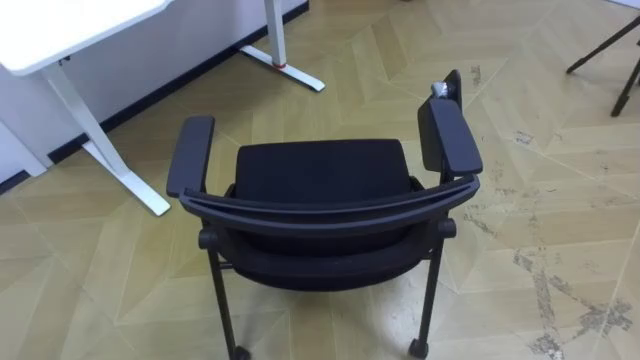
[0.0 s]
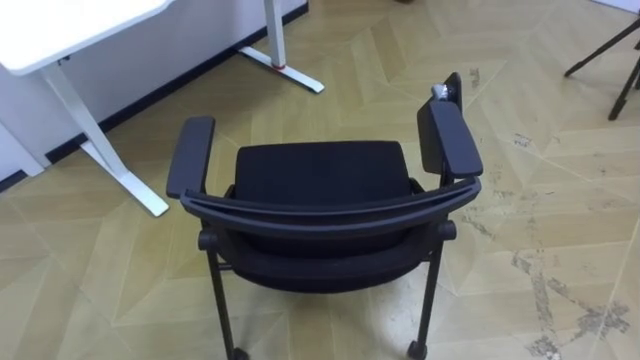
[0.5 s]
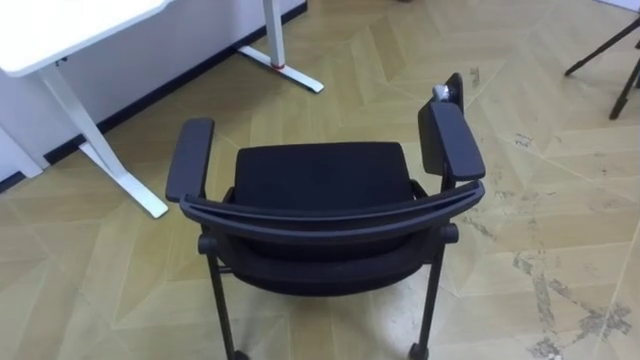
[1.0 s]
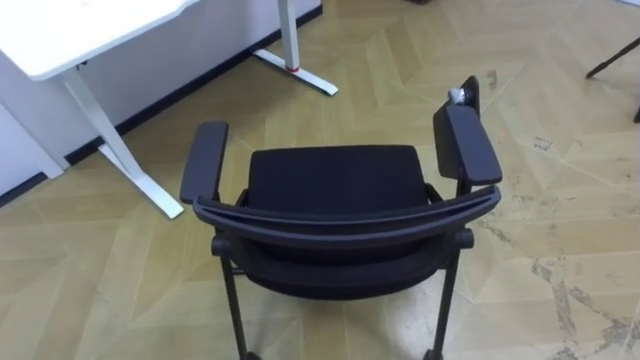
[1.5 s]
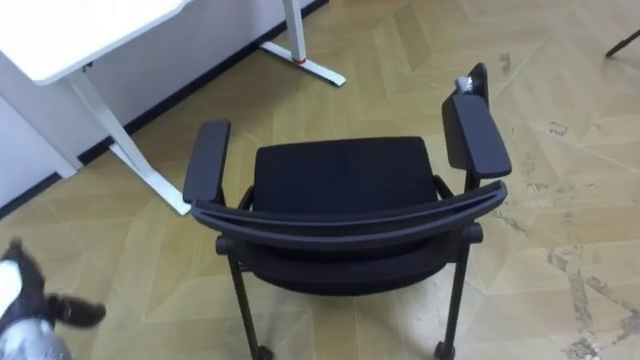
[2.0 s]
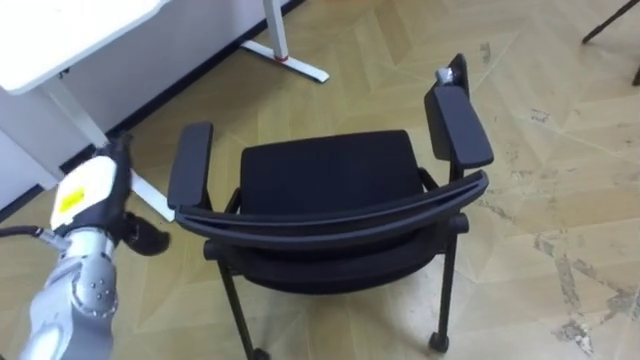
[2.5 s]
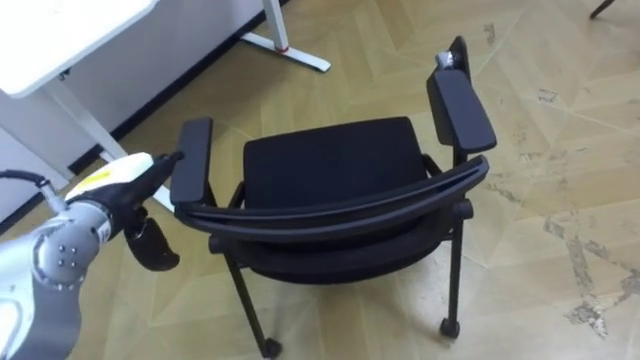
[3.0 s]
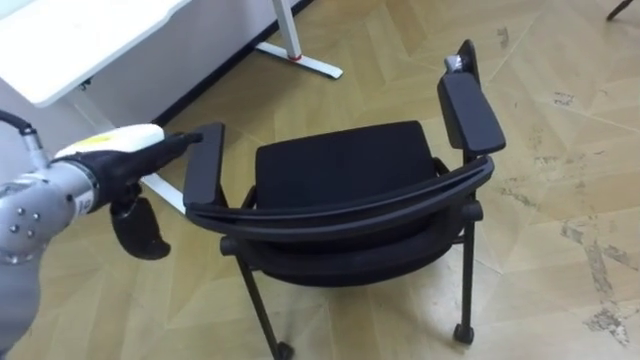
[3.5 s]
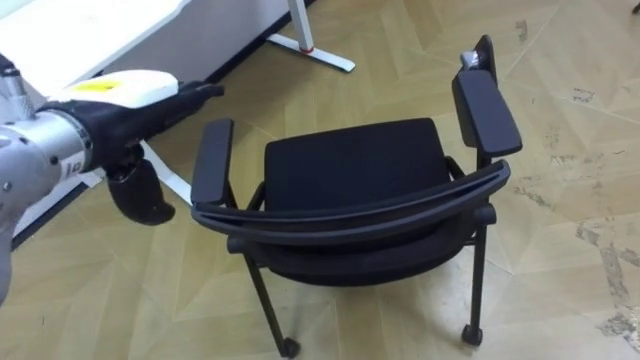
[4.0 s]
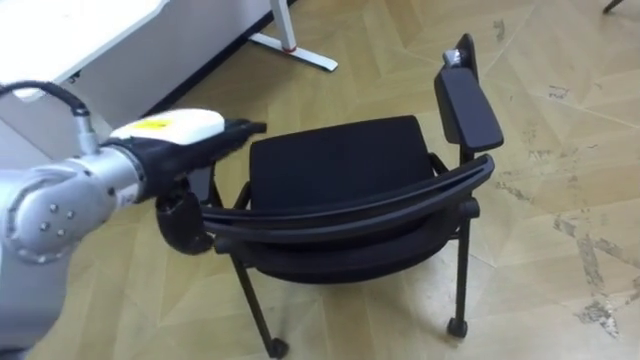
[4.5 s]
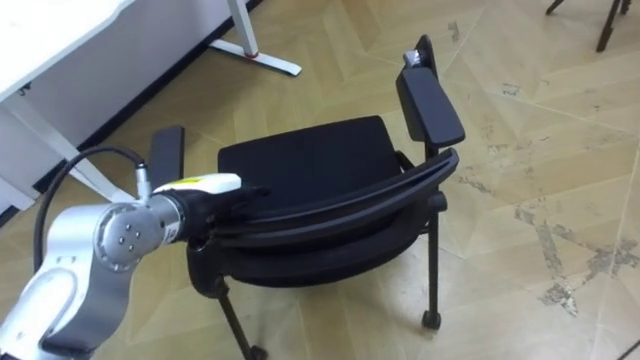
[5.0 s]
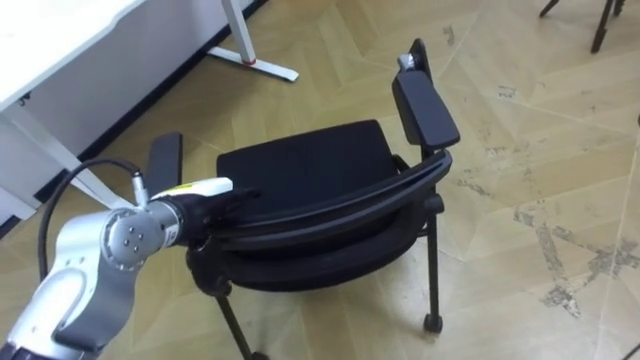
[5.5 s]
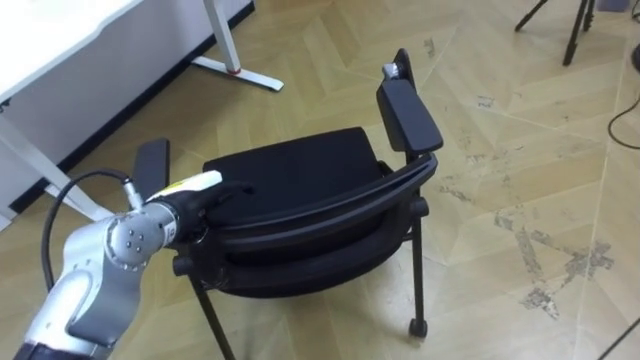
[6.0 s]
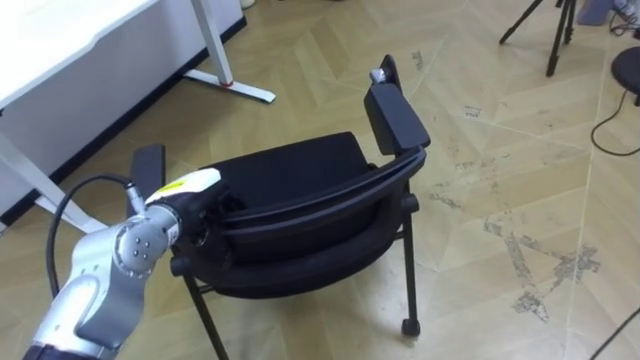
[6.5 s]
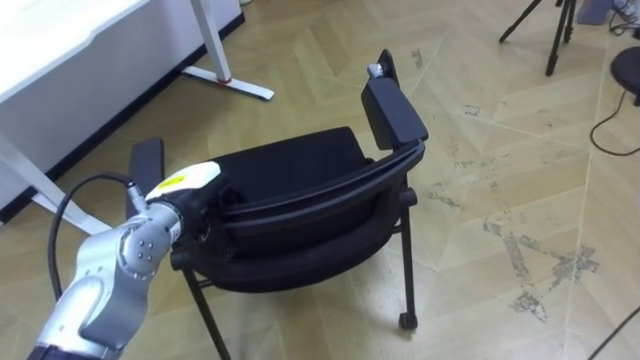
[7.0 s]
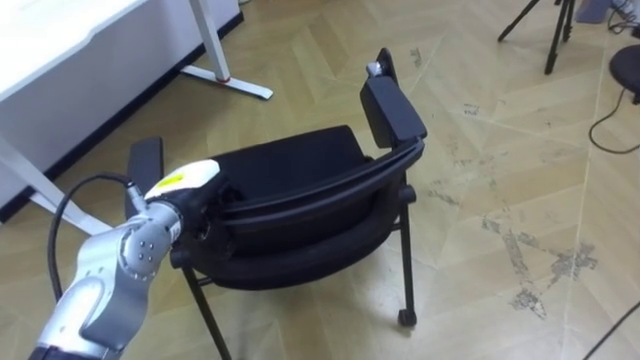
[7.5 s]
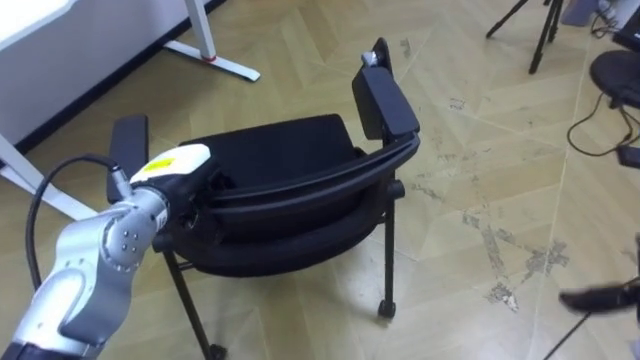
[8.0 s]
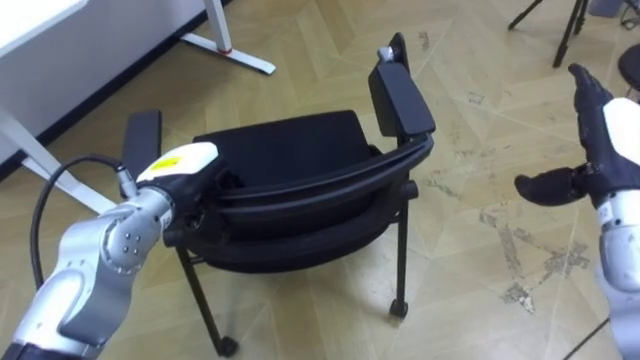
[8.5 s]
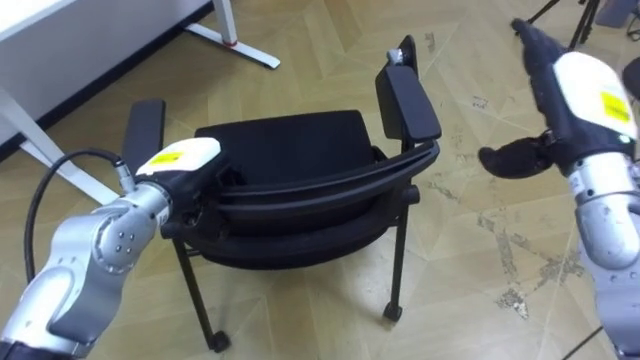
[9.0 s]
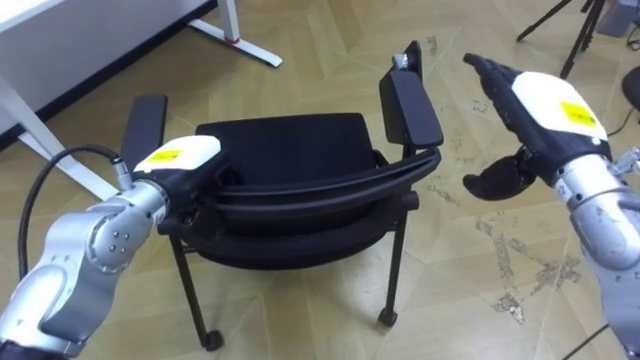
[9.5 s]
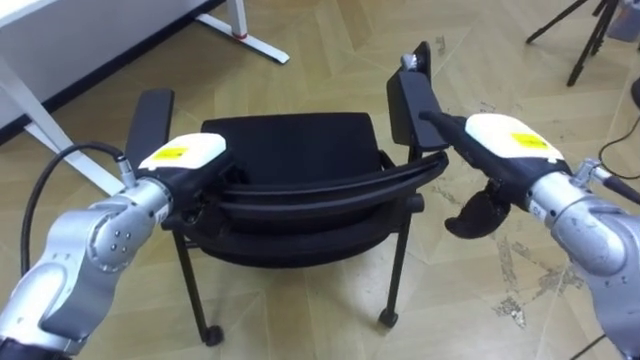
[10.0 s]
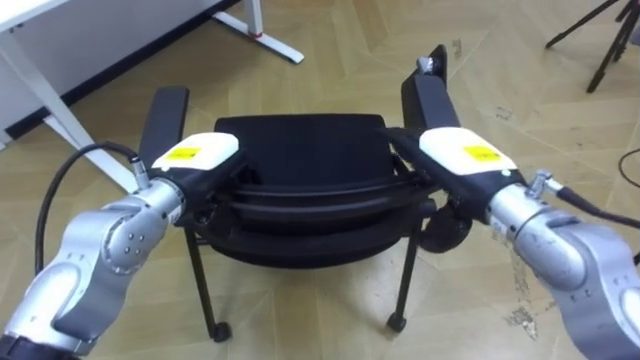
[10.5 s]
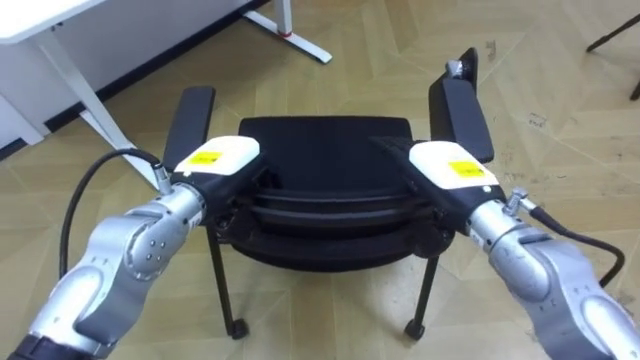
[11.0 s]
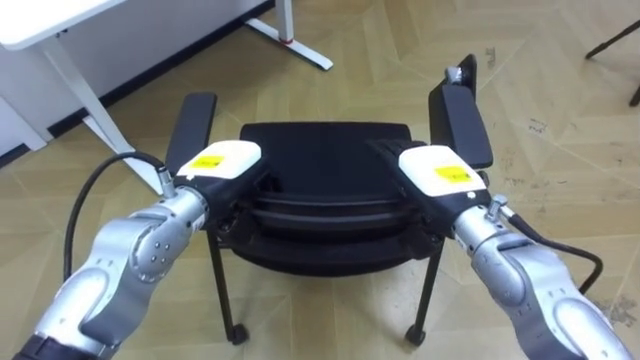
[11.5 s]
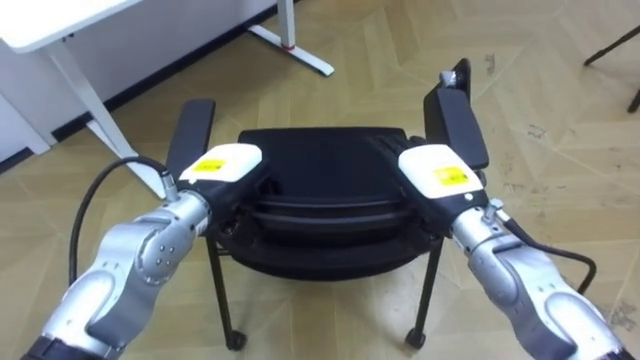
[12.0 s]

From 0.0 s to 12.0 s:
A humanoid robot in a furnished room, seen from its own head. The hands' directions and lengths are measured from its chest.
Task of the whole recording: Push the chair under the table.
From 2.0 s to 4.0 s: The left hand goes approximately 30 cm upward and to the right.
From 4.0 s to 6.0 s: The left hand travels downward by about 15 cm.
From 6.0 s to 8.0 s: The left hand closes its fingers.
From 10.0 s to 12.0 s: The right hand is displaced to the left and downward by some 10 cm.

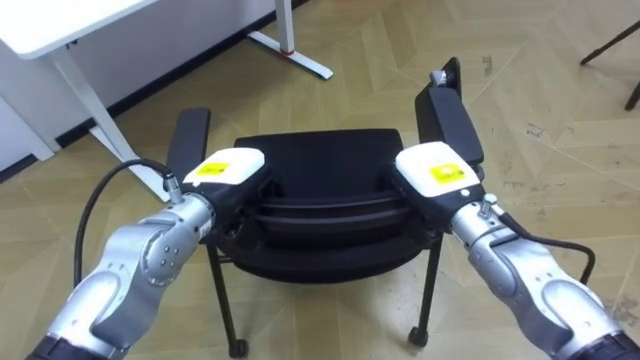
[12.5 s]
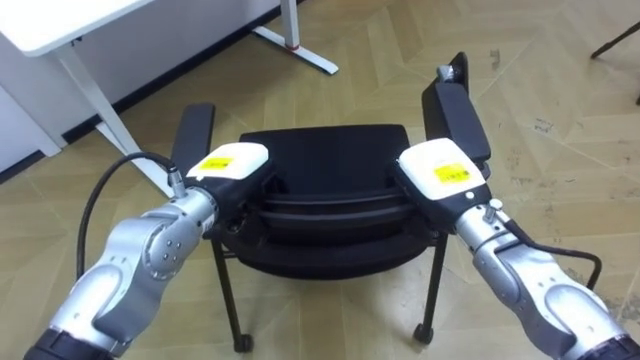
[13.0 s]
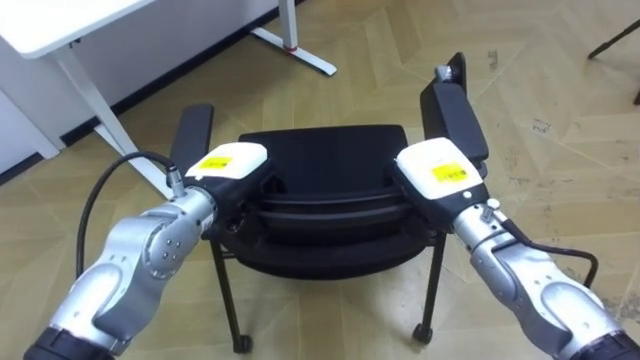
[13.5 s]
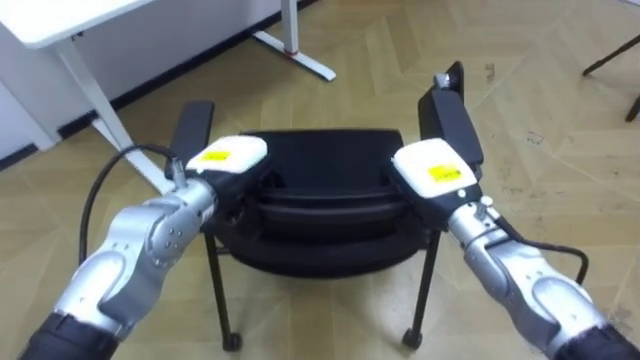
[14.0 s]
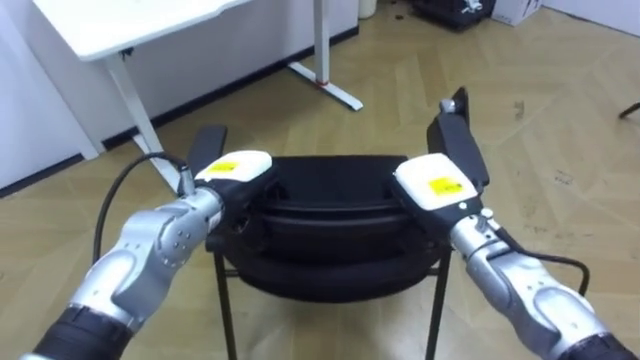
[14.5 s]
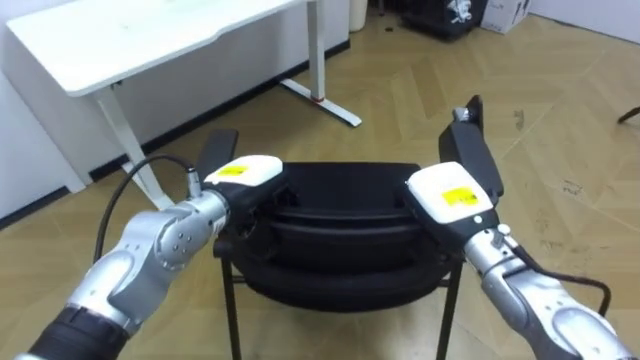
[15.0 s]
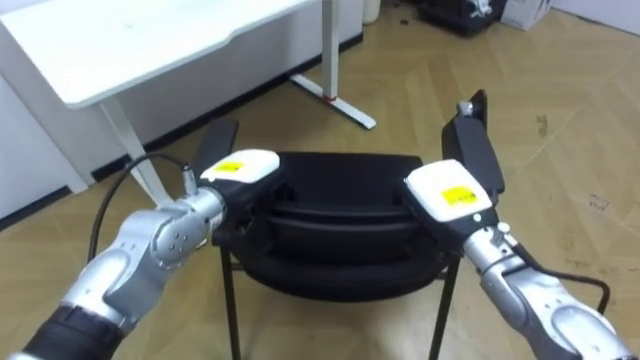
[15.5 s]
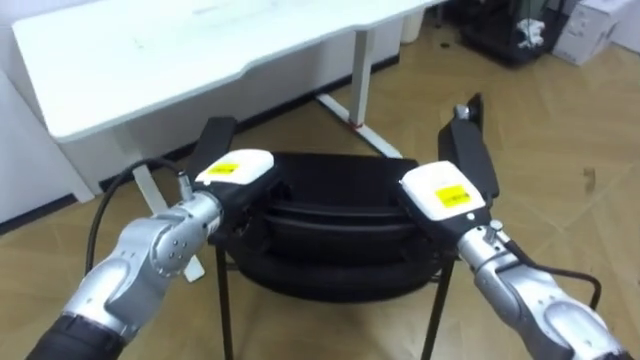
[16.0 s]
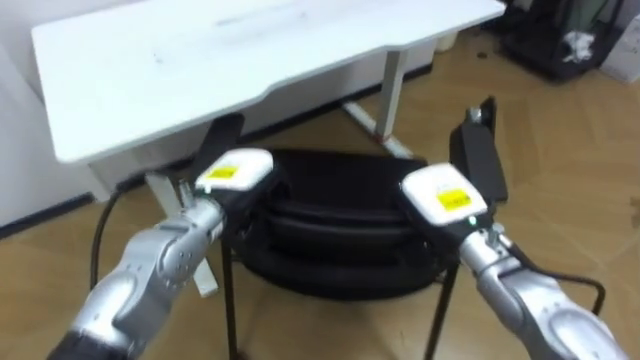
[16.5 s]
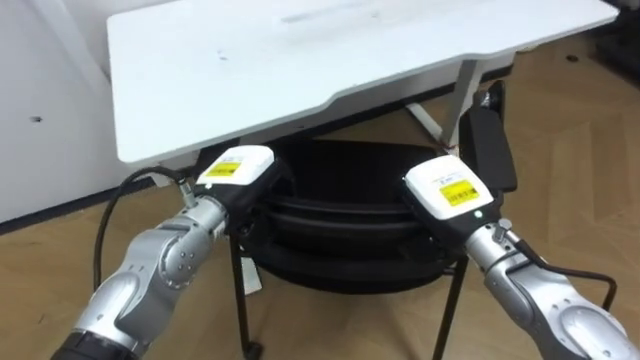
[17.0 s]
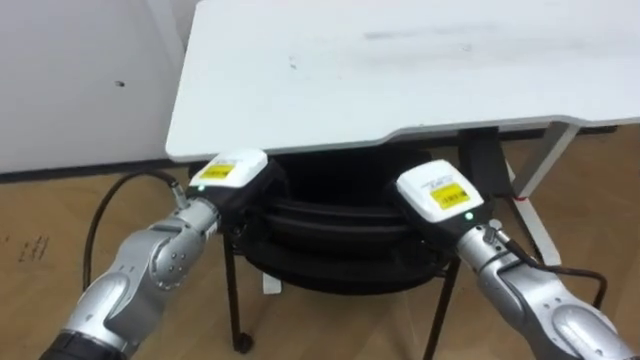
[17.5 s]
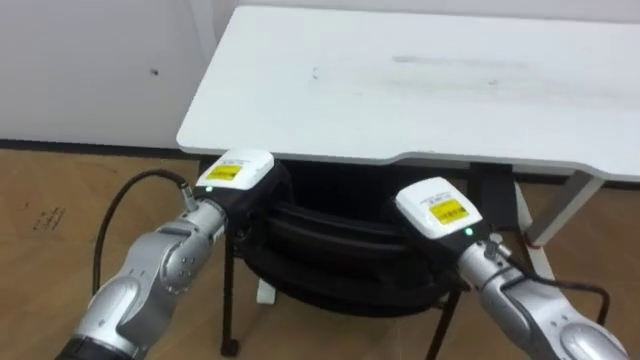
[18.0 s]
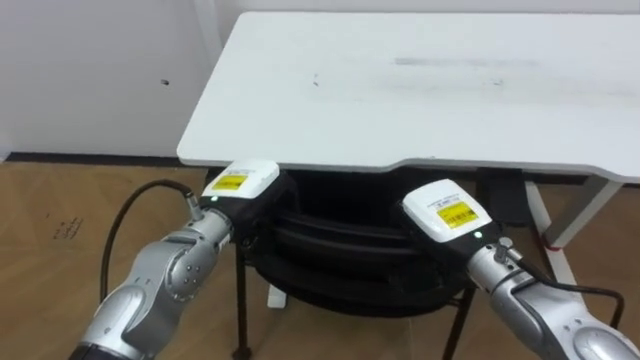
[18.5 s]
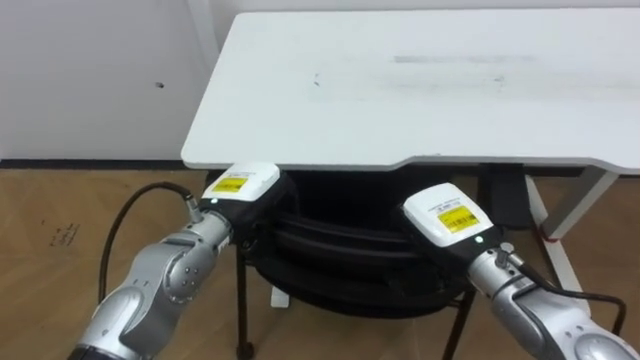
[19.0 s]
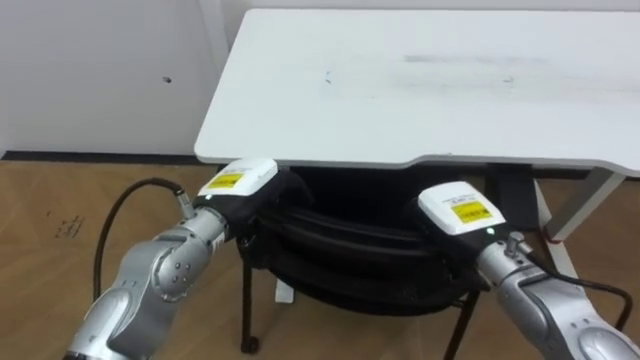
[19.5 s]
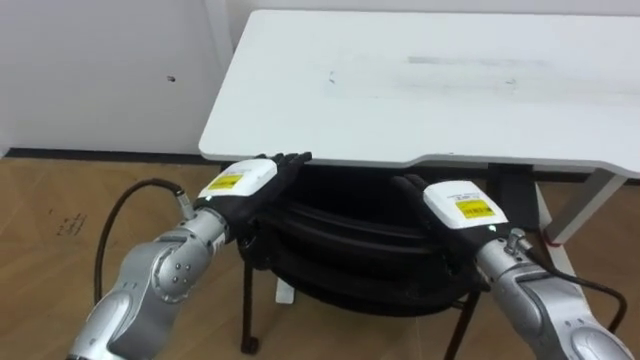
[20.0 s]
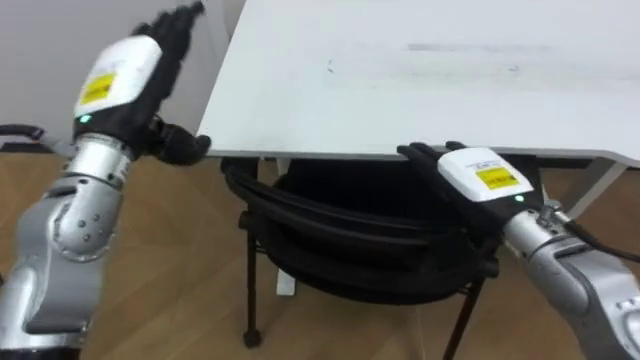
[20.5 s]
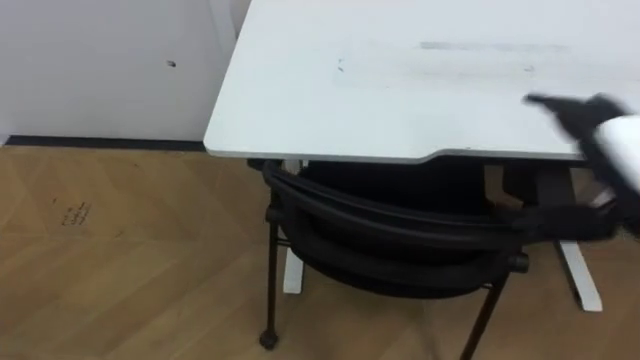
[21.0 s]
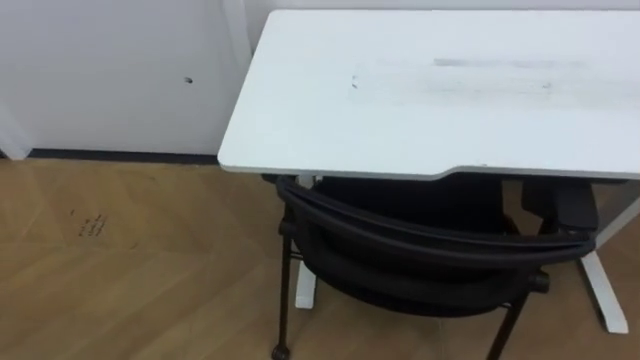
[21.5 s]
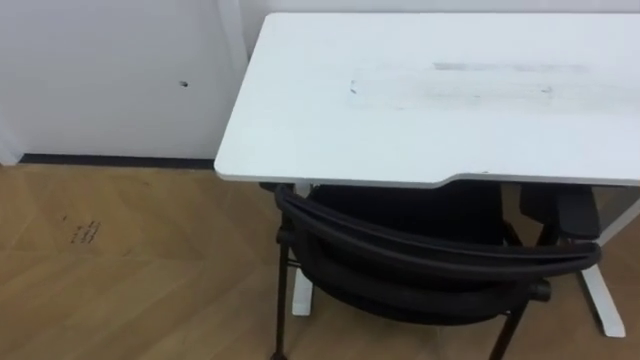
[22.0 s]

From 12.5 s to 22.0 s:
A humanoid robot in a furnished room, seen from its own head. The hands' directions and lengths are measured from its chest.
Task of the whole recording: Push the chair under the table.
From 16.5 s to 18.0 s: The robot turns to its left by some 35 degrees.
From 18.0 s to 20.0 s: The right hand opens its fingers. Meanwhile the left hand opens its fingers.
